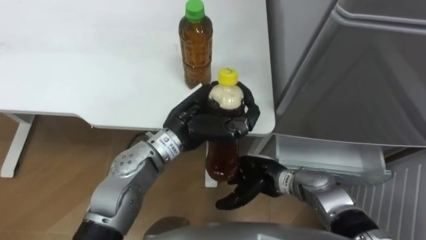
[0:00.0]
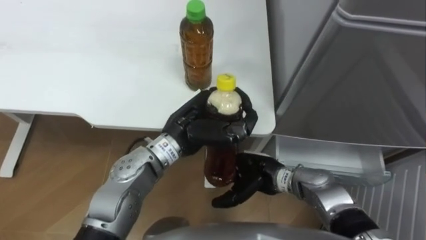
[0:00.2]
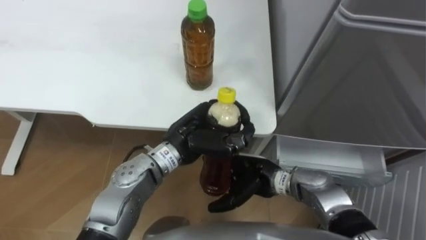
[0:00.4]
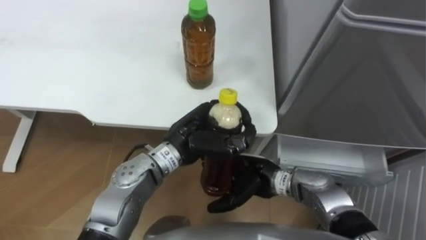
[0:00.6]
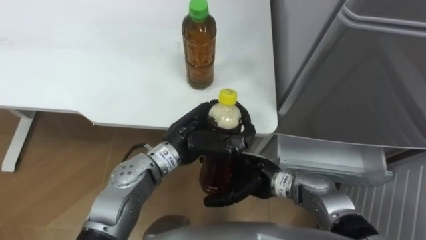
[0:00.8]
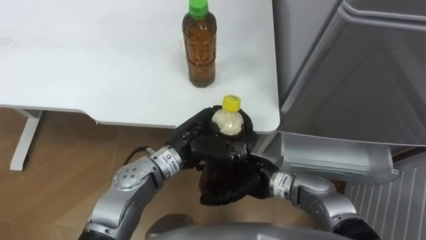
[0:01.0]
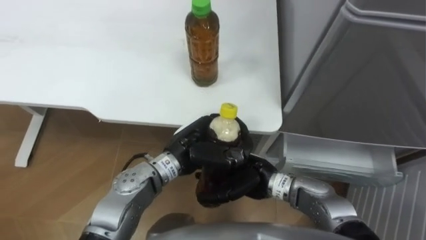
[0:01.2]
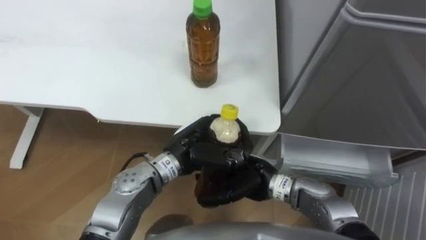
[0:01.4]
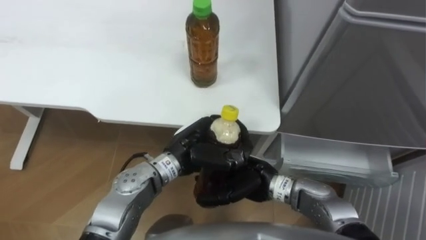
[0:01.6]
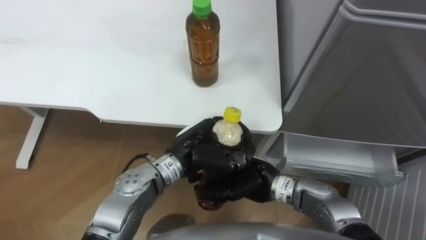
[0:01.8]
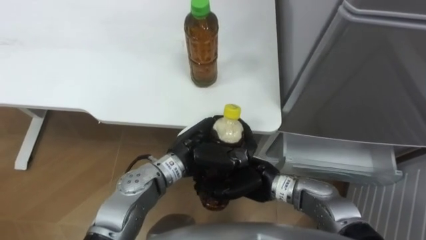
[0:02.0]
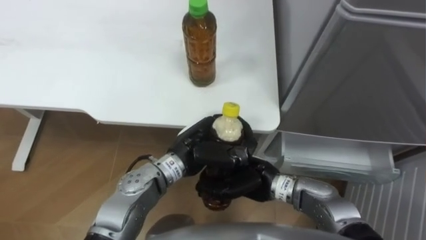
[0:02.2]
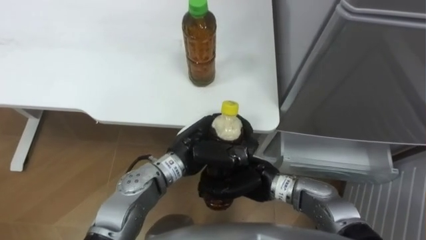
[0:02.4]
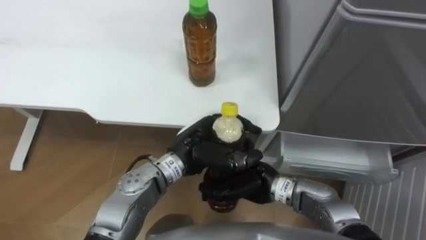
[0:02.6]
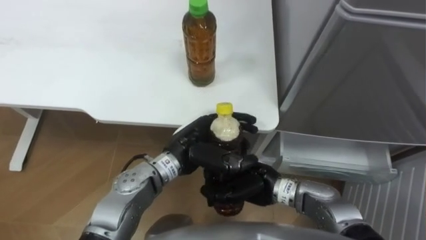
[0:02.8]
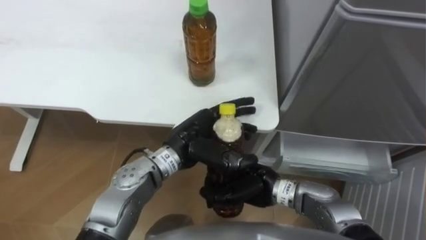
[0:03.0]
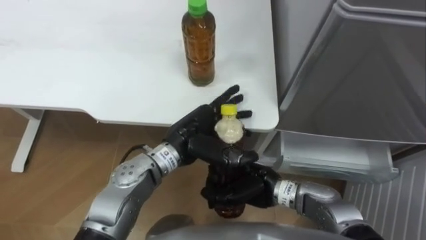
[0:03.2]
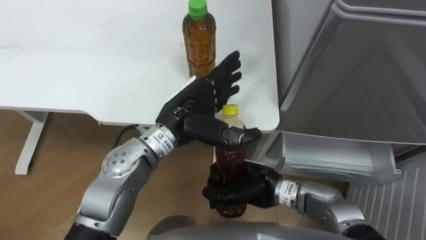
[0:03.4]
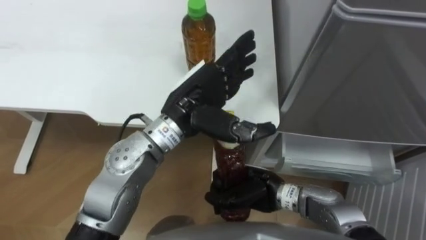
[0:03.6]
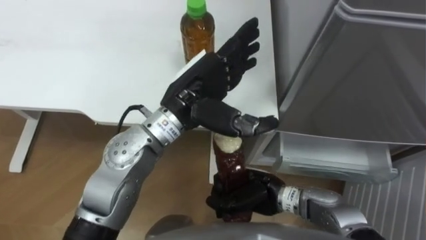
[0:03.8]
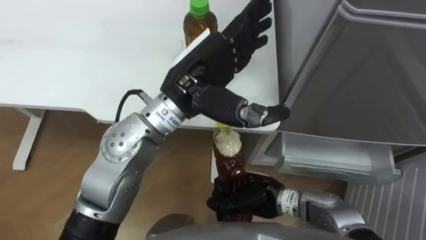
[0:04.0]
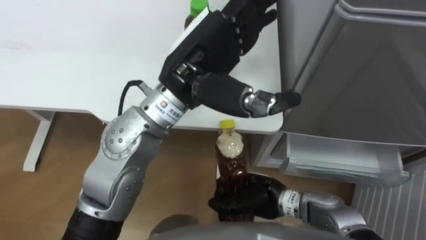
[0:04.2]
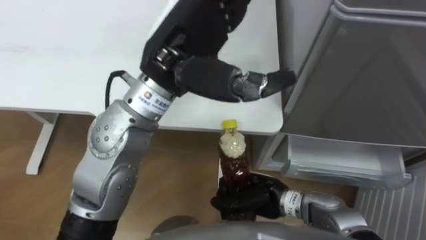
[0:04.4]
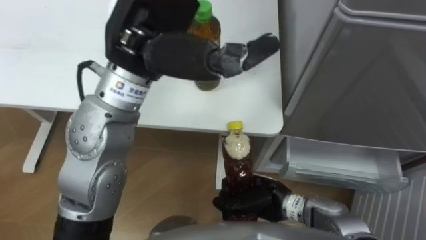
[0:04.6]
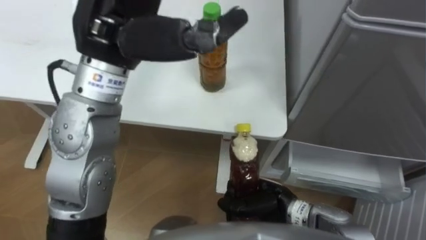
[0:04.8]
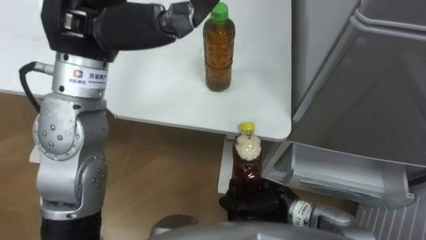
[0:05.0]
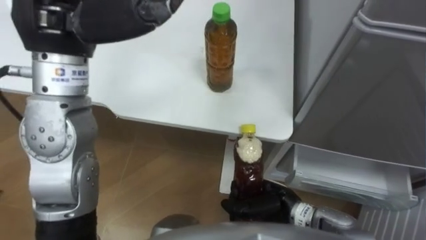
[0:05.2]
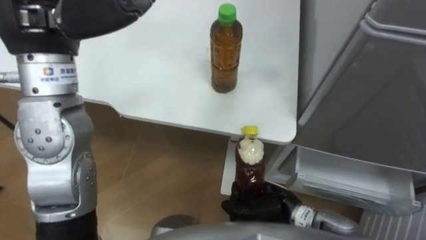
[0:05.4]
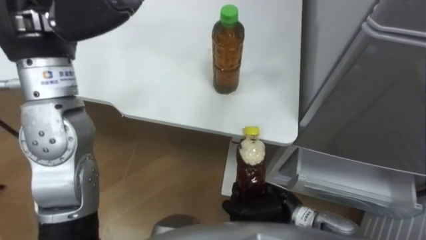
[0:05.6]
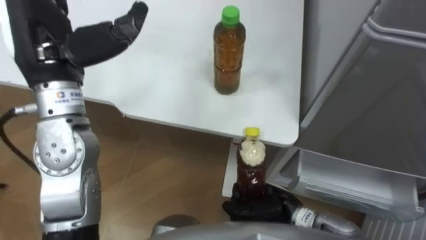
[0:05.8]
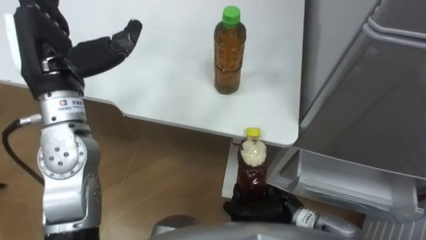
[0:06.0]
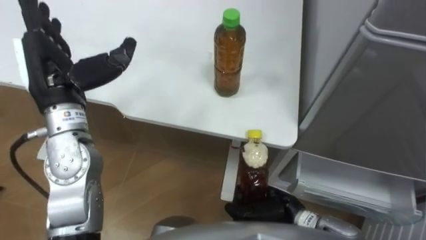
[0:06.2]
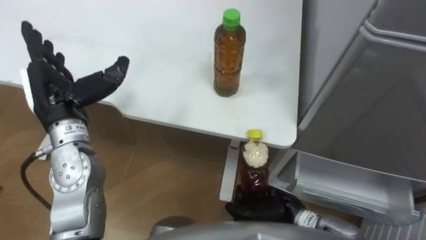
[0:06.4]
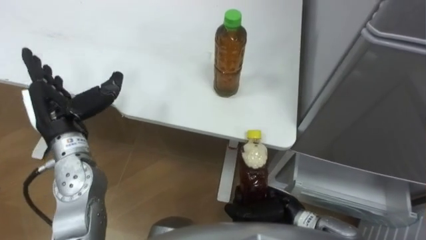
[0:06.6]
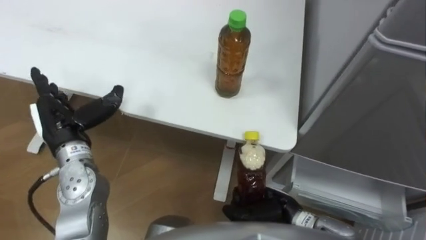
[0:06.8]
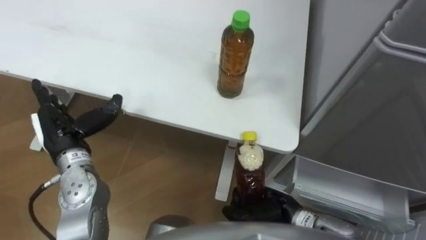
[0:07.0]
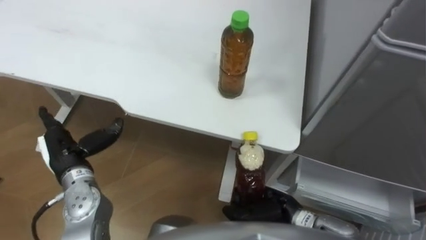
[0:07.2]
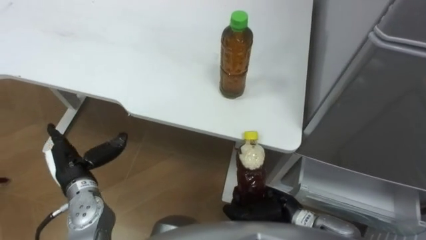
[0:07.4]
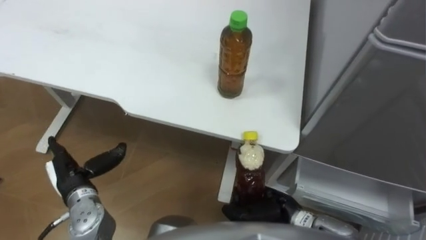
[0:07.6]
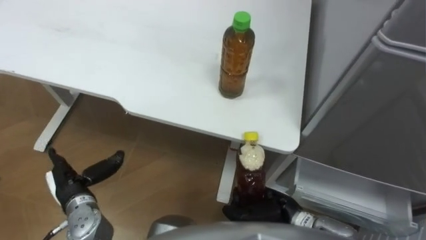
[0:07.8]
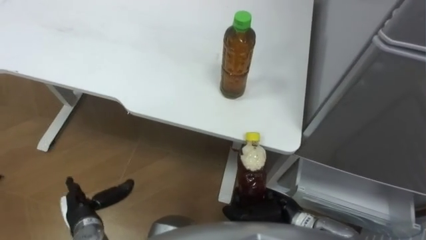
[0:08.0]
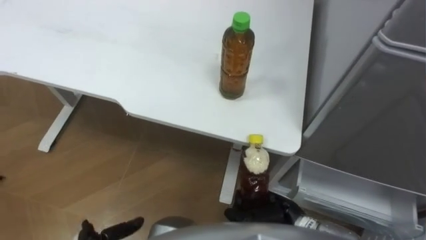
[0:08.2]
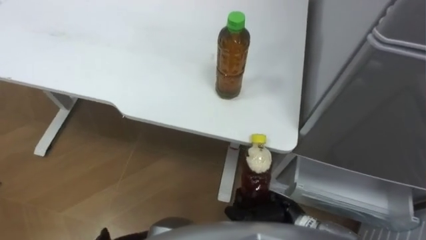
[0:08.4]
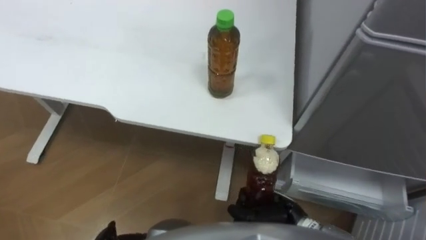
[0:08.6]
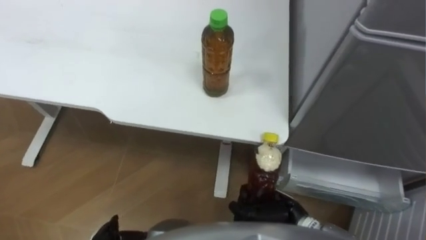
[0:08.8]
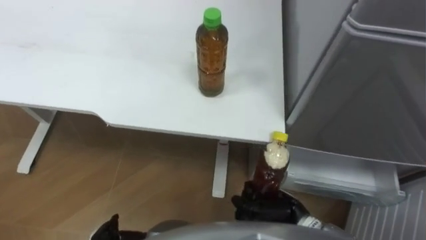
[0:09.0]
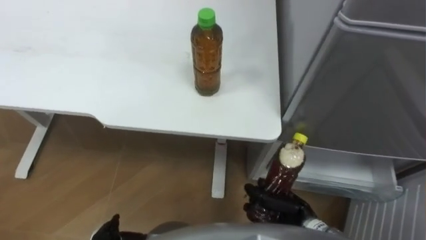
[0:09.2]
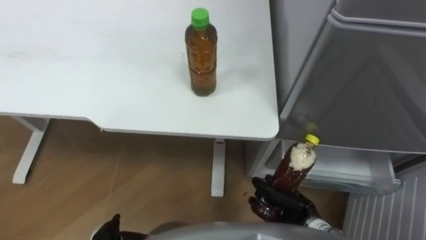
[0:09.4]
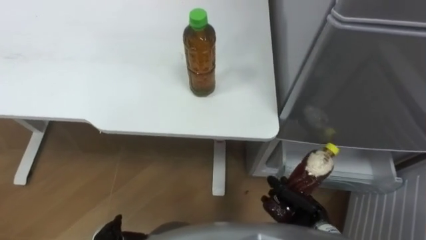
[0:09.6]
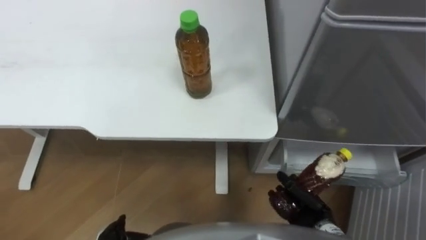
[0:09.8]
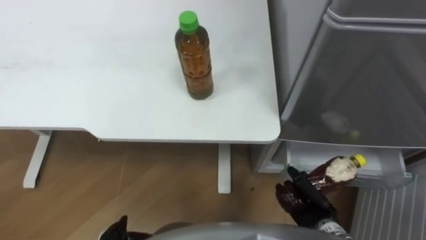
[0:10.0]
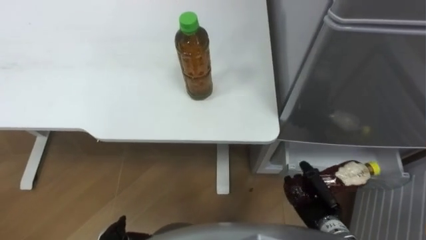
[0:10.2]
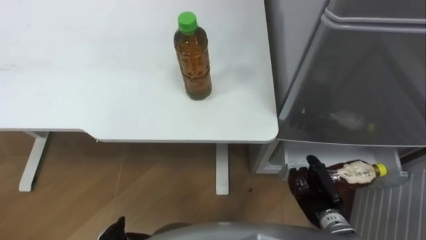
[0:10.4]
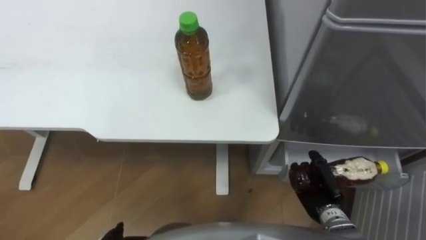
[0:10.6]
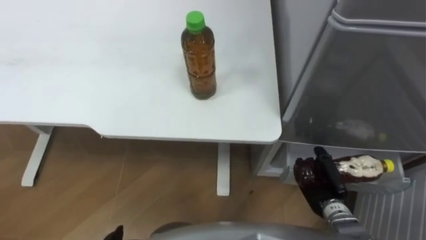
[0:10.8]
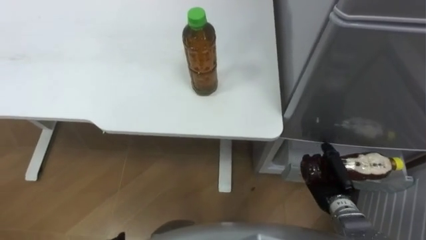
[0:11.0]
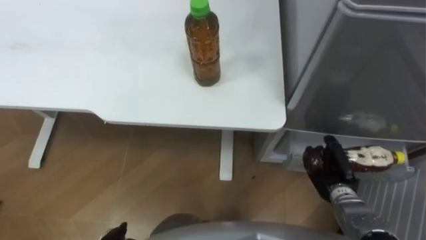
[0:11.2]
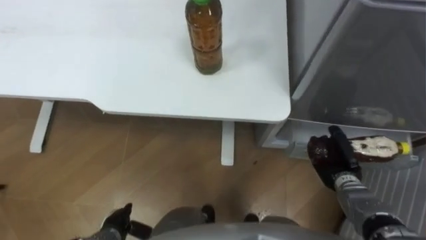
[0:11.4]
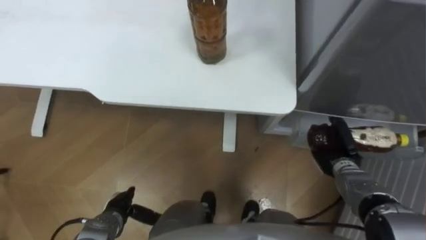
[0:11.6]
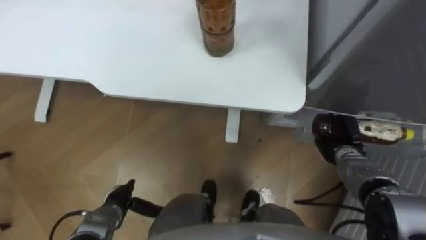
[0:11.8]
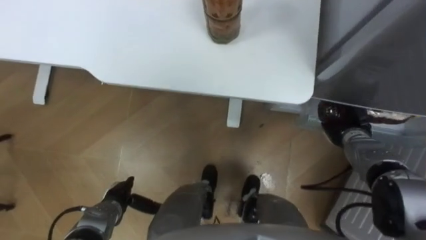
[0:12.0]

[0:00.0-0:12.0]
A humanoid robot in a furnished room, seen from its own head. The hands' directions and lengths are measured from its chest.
Task of the whole recording: Place the drink on the table on the bottom shelf of the refrigerator, then close the drawer and the refrigerator door.
0:00.0 to 0:01.6: The right hand moves approximately 5 cm. The left hand is displaced downward by about 5 cm.
0:01.6 to 0:03.0: The left hand opens its fingers; the right hand closes its fingers.
0:03.0 to 0:04.4: The left hand heads upward, covering about 20 cm.
0:04.4 to 0:06.0: The left hand shifts approximately 20 cm to the left.
0:06.0 to 0:07.6: The left hand travels downward and backward by some 25 cm.
0:09.0 to 0:10.4: The right hand goes some 10 cm to the right.
0:10.4 to 0:12.0: The right hand shifts about 15 cm forward.

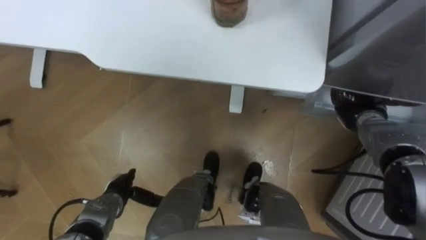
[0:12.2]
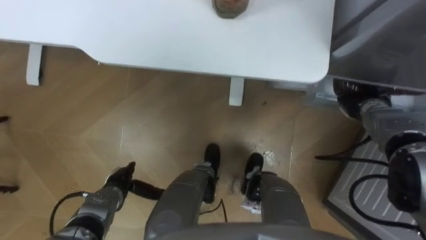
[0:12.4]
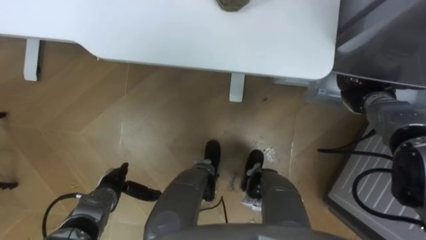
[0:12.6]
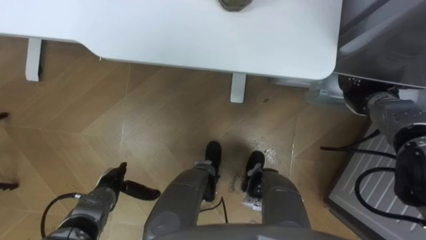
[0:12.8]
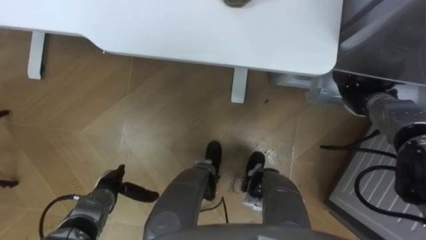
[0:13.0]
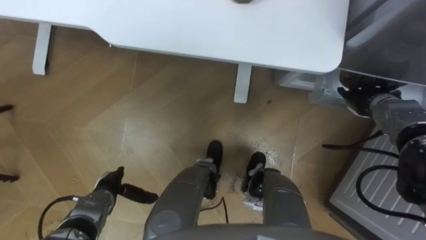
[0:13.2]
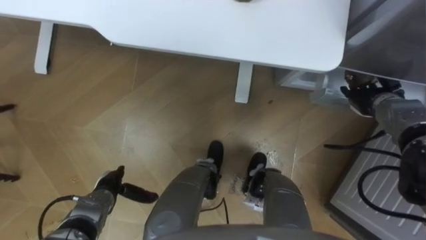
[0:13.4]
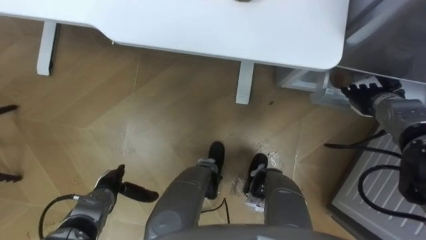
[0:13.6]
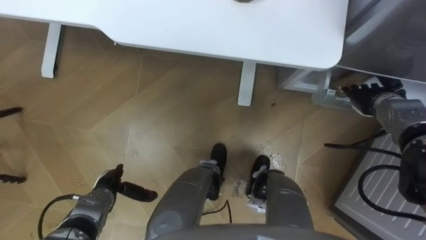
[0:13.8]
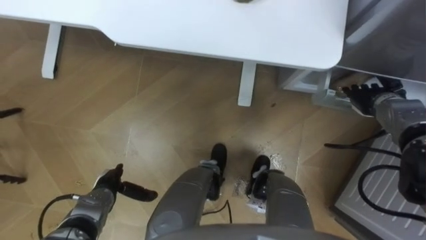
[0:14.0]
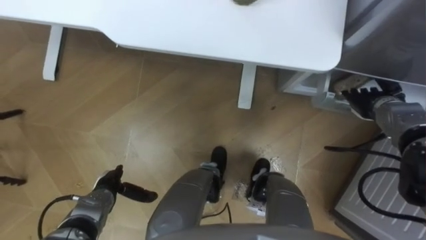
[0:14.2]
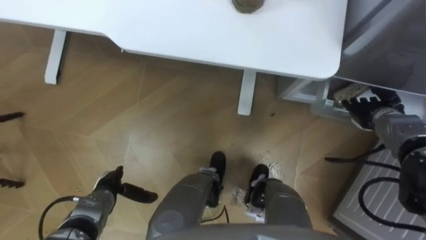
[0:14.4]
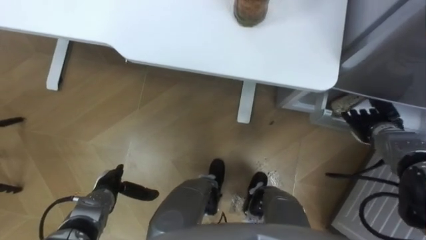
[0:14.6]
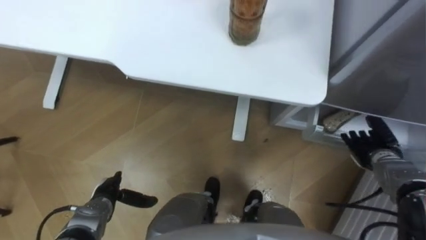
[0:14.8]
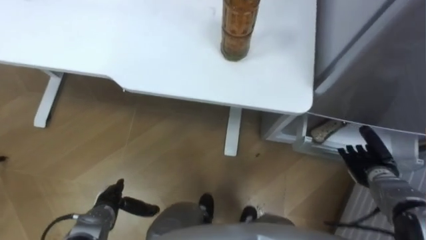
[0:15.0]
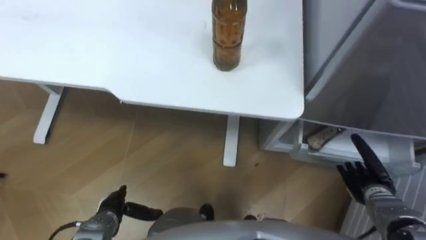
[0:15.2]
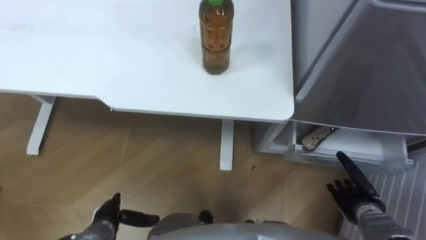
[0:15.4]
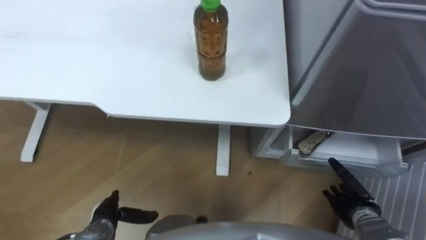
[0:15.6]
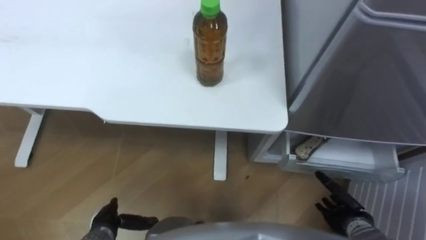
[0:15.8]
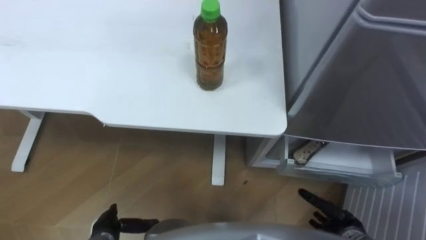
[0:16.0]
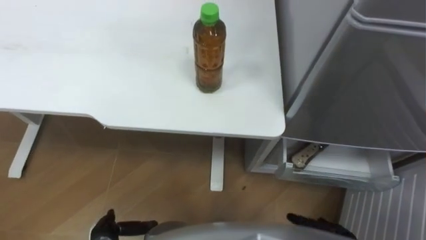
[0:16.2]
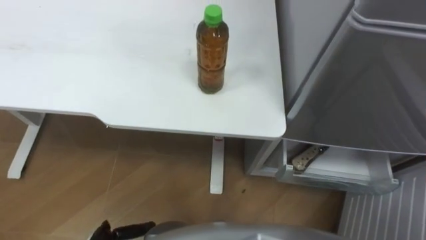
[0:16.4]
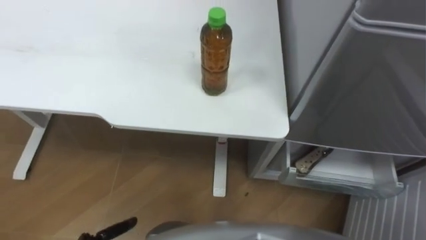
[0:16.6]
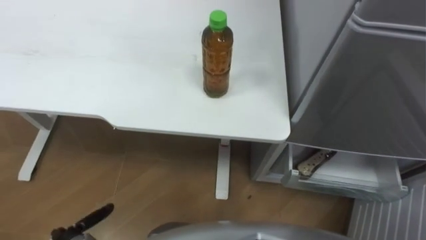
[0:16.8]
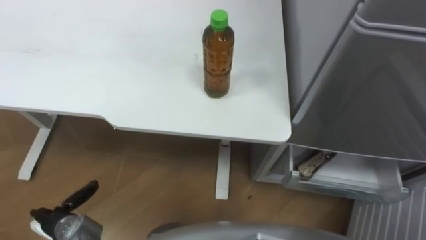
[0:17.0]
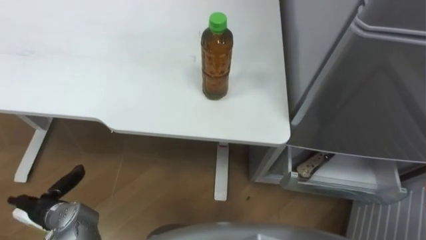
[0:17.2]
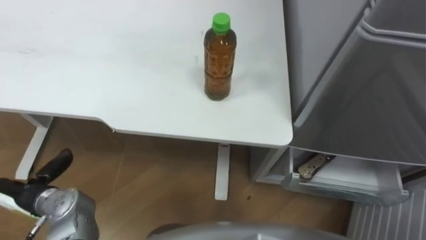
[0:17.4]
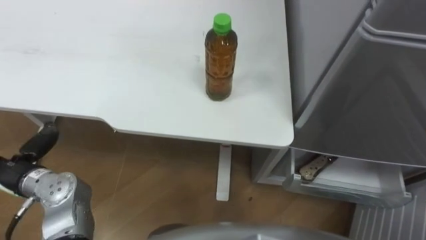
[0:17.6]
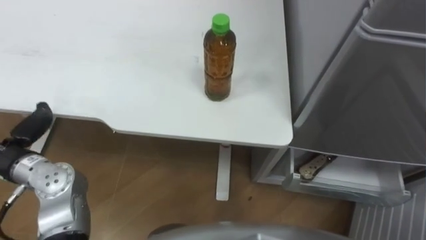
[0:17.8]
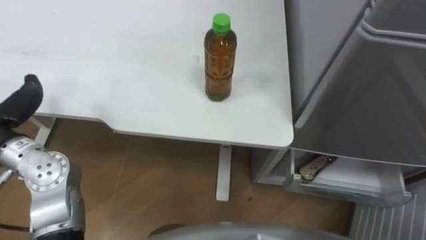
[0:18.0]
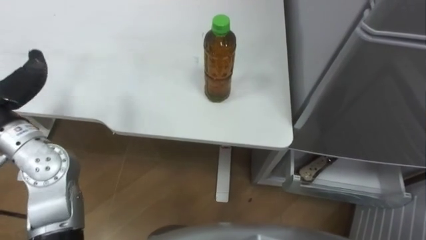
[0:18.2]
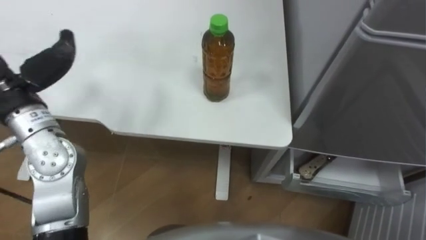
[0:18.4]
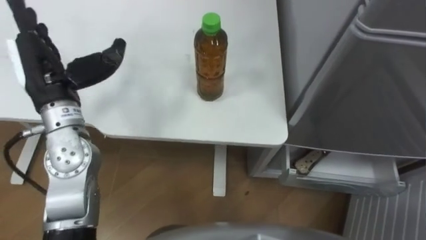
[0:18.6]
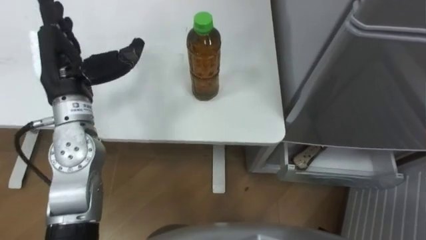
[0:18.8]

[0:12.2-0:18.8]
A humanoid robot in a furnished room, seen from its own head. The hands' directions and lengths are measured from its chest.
Task of the whole recording: Place the drink on the table on the bottom shelf of the refrigerator, then close the drawer and the refrigerator door.
0:12.2 to 0:13.8: The right hand opens its fingers.
0:13.8 to 0:15.4: The right hand goes roughly 25 cm backward and downward; the left hand heads backward, covering approximately 5 cm.
